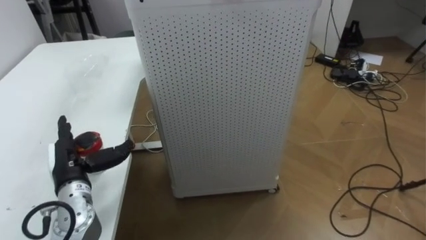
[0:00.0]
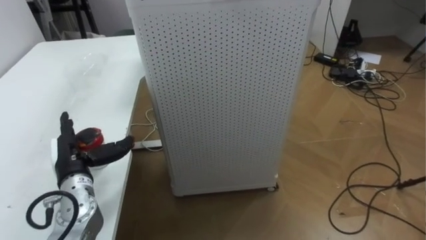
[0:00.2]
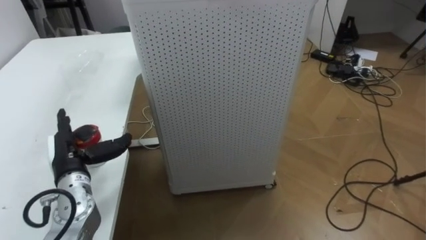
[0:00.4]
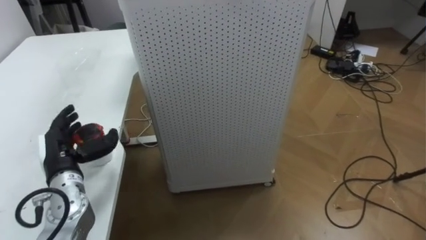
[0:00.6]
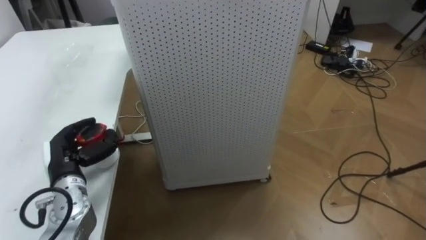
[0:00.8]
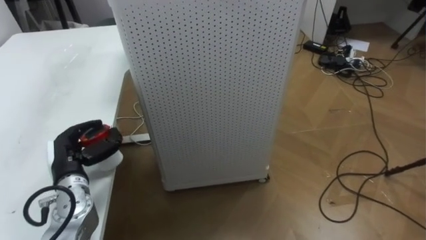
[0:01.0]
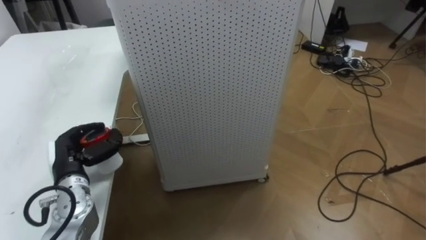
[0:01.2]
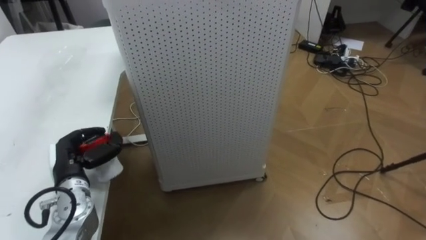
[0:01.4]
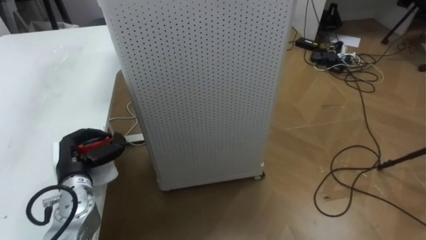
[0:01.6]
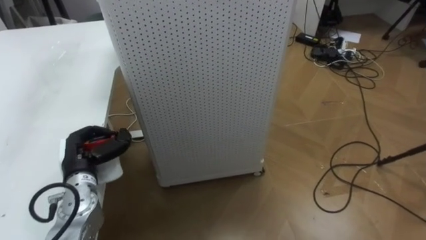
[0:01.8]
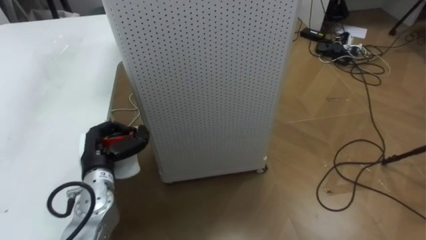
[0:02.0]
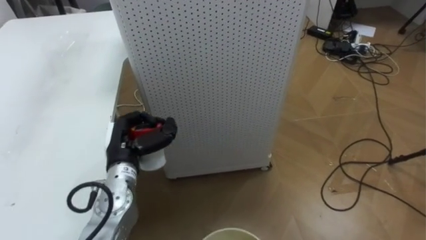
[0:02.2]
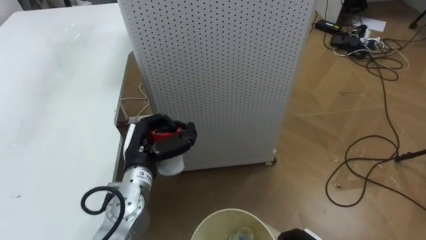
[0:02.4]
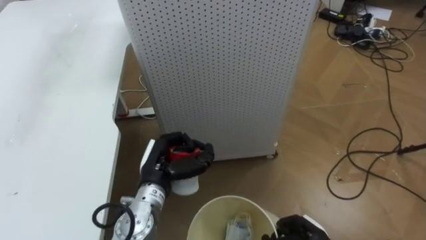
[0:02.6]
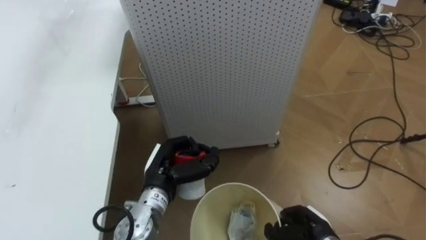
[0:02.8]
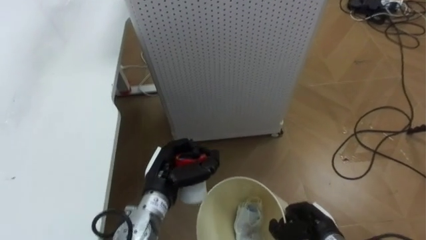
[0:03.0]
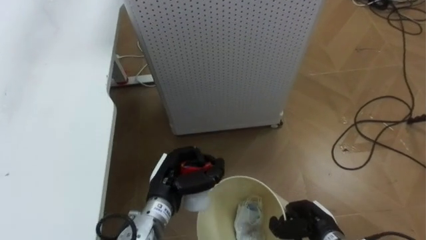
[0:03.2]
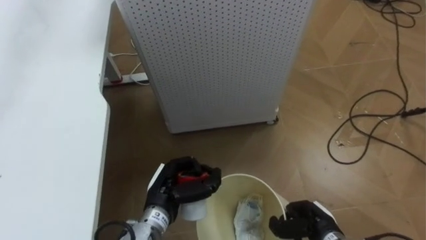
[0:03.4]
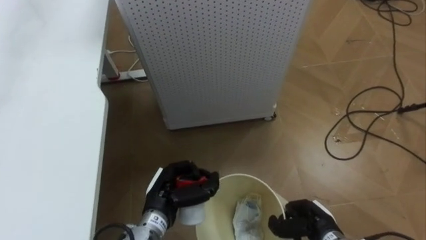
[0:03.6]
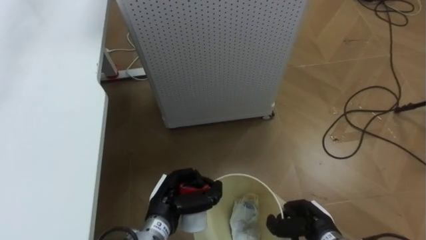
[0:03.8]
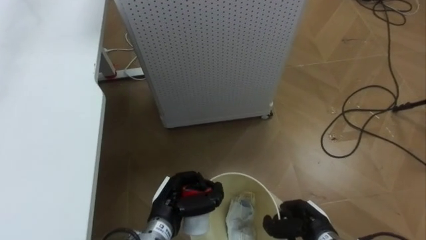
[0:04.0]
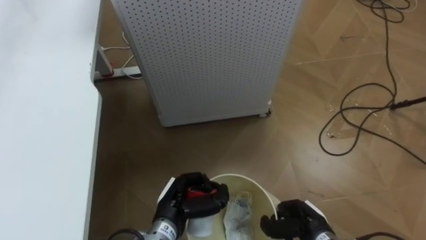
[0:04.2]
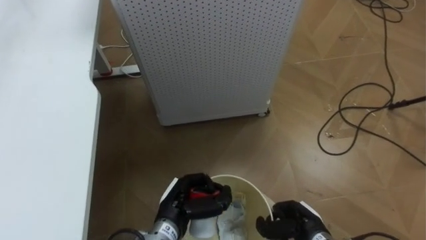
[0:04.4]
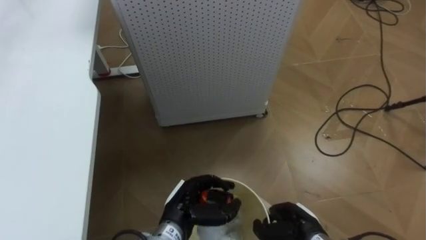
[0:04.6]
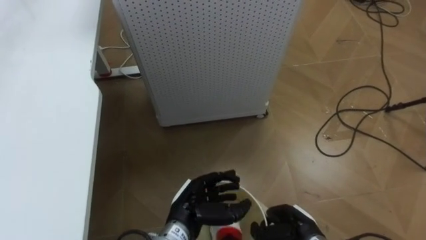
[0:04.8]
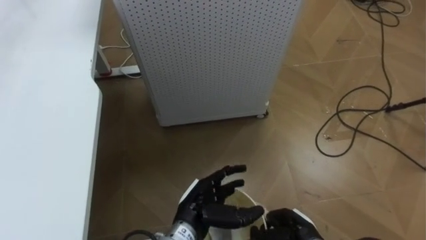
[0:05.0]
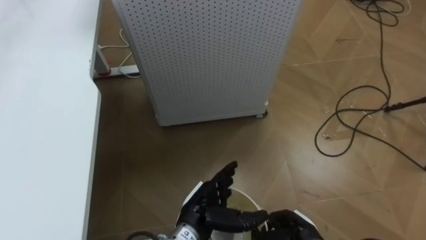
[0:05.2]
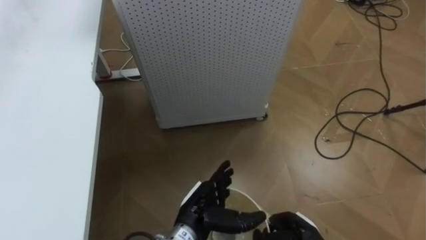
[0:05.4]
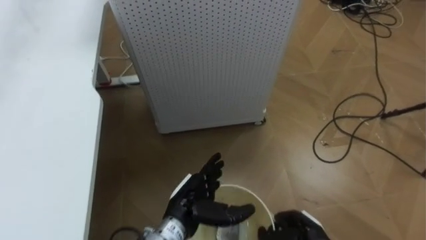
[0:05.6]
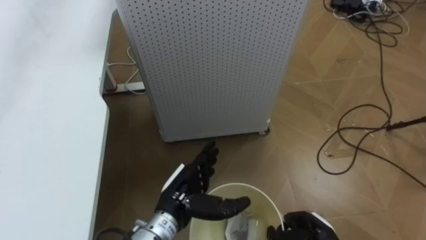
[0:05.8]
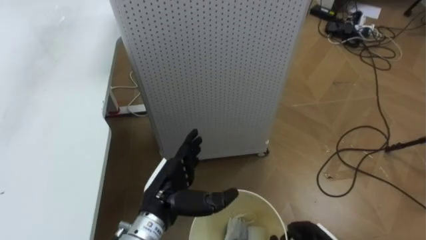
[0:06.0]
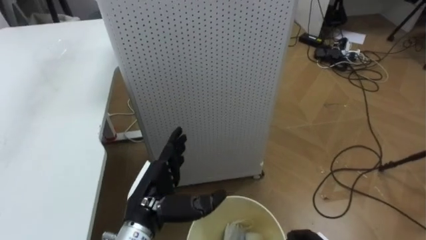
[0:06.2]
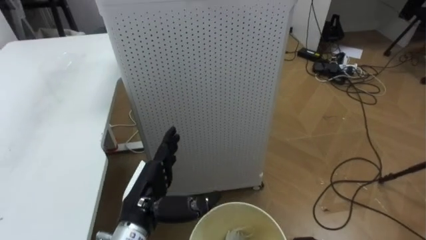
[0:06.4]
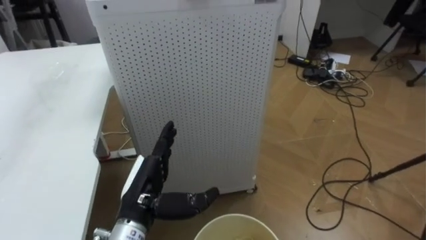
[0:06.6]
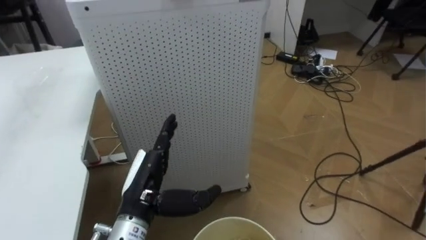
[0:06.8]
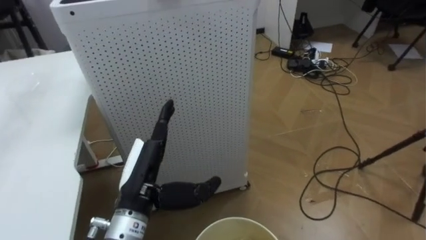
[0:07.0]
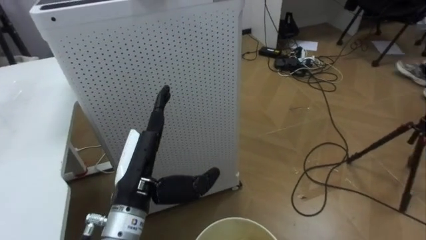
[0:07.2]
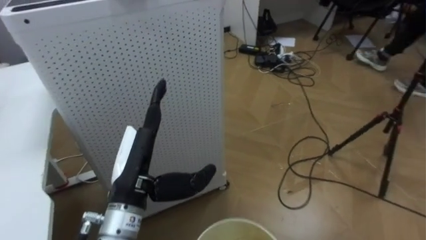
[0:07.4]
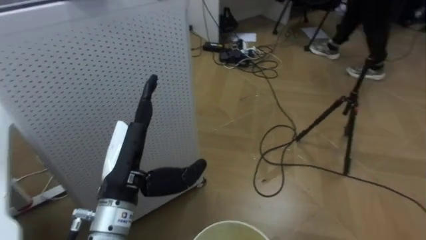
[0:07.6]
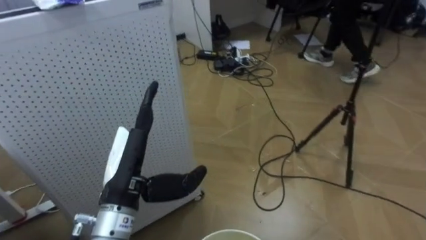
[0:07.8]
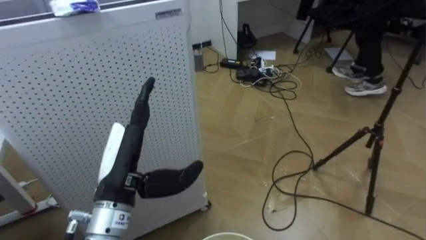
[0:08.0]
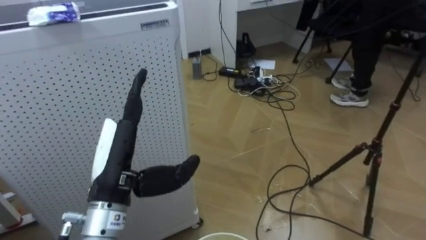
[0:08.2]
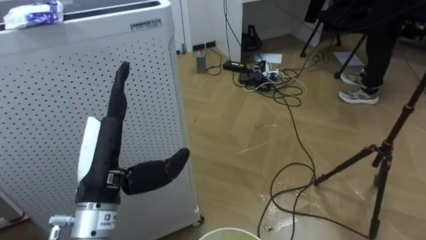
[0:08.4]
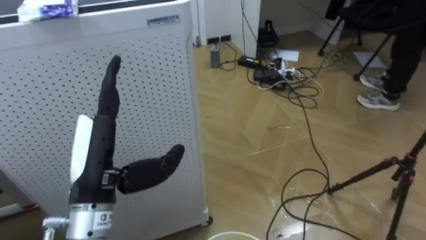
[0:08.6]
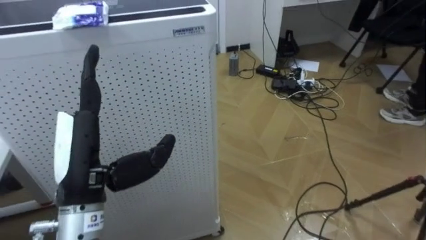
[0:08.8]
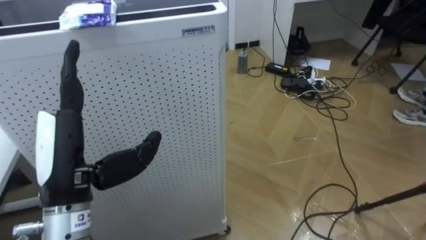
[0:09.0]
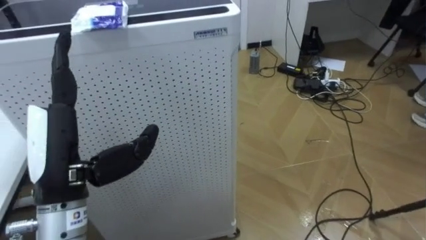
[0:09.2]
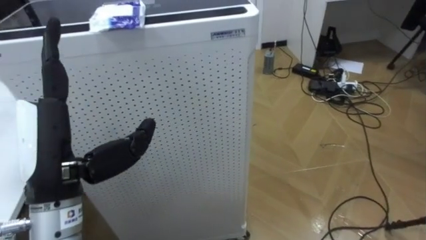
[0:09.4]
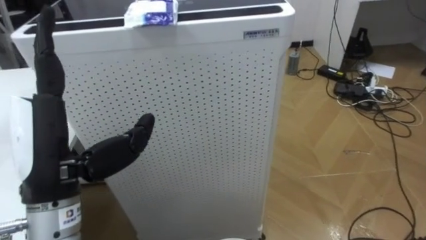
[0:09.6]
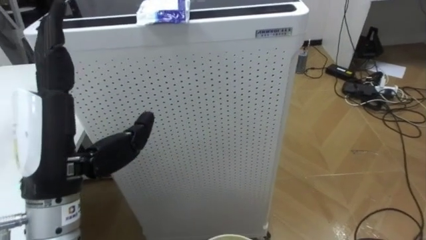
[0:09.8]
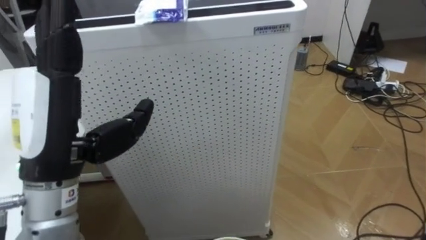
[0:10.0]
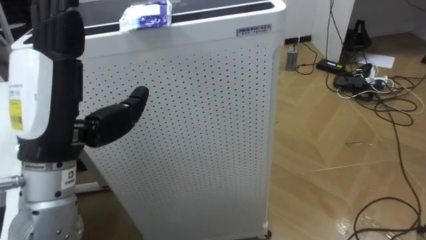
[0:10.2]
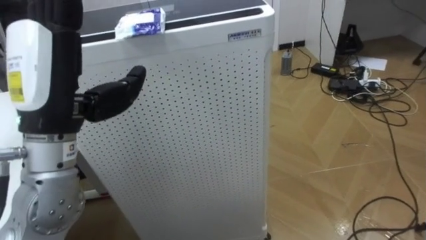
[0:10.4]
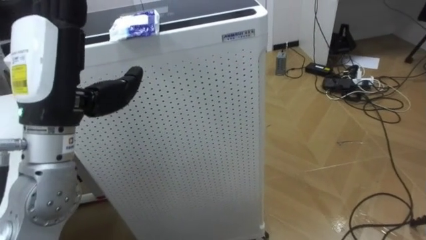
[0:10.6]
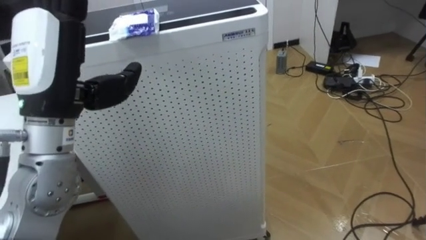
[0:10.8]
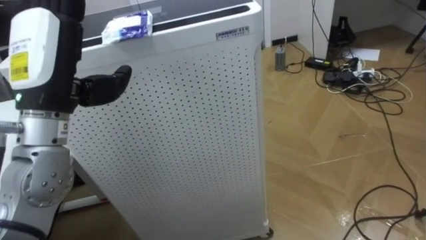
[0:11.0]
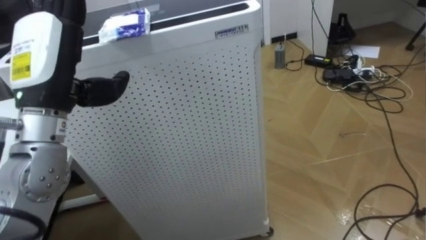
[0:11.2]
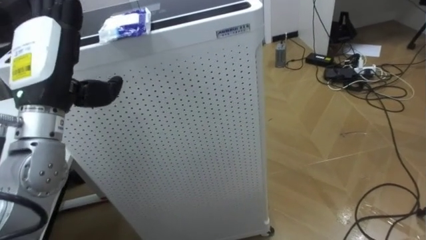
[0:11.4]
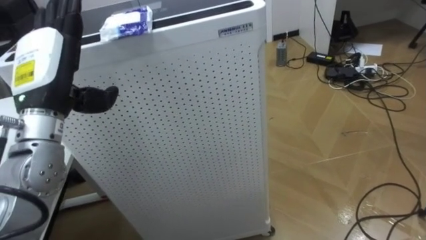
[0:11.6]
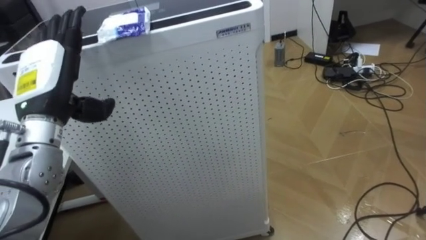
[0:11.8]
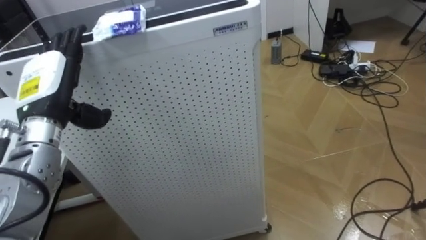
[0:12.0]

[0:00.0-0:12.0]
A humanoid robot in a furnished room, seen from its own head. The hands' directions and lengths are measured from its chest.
Task of the whole recording: Pick up the light blue package, the candy box, and the dark blue package separately, and put them into the trash can held in your right hand.
0:00.0 to 0:01.6: The left hand closes.
0:01.6 to 0:03.0: The left hand shifts some 20 cm to the right.
0:03.0 to 0:04.4: The left hand goes some 5 cm downward.
0:04.4 to 0:06.0: The left hand travels upward by roughly 5 cm, and opens.
0:06.0 to 0:07.6: The robot turns to its right by about 25 degrees. The left hand is displaced upward and to the left by approximately 10 cm.
0:07.6 to 0:09.0: The robot turns to its left by approximately 15 degrees. The left hand is displaced to the left and upward by about 10 cm.
0:09.0 to 0:10.4: The left hand heads upward, covering approximately 10 cm.
0:10.4 to 0:12.0: The left hand heads forward, downward and to the left, covering some 15 cm.

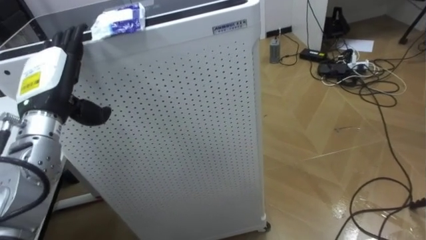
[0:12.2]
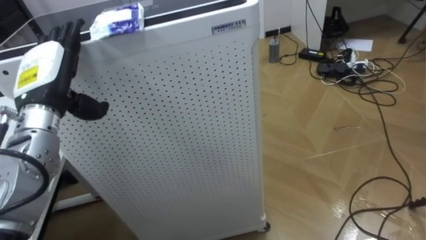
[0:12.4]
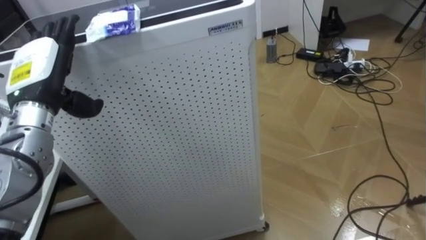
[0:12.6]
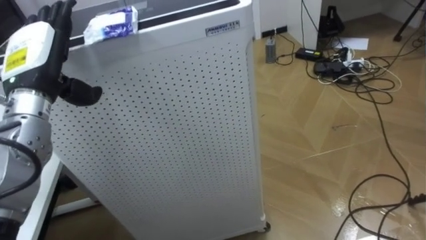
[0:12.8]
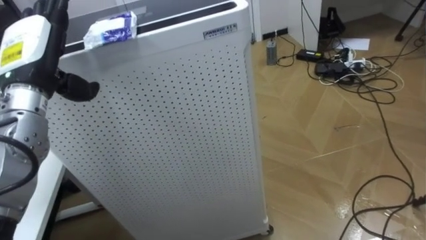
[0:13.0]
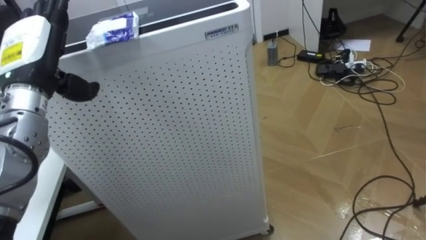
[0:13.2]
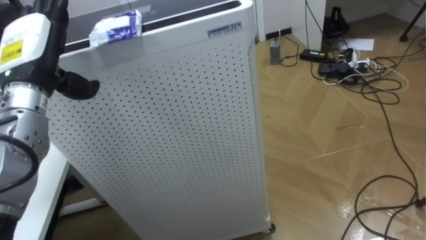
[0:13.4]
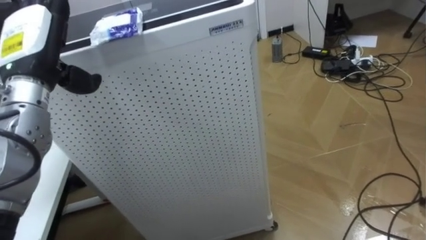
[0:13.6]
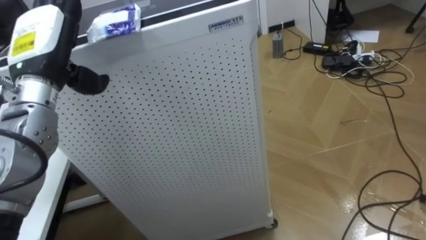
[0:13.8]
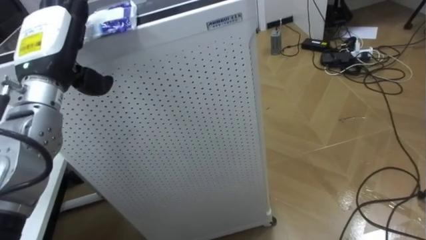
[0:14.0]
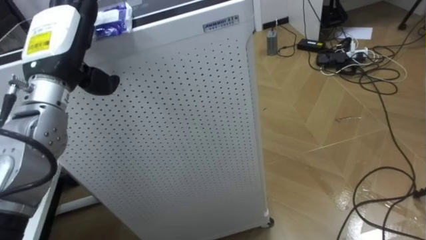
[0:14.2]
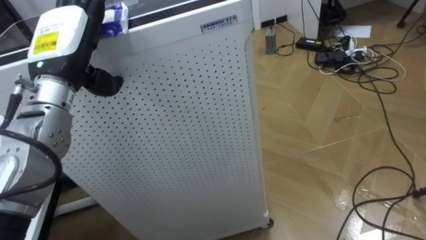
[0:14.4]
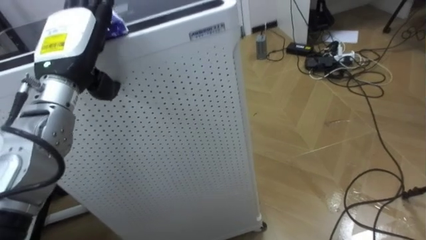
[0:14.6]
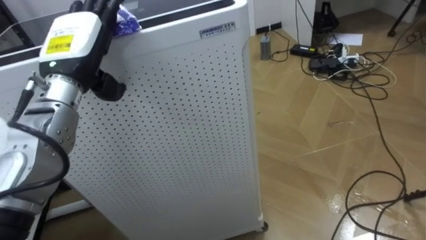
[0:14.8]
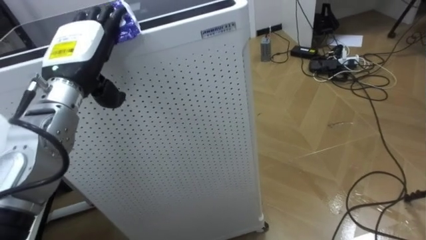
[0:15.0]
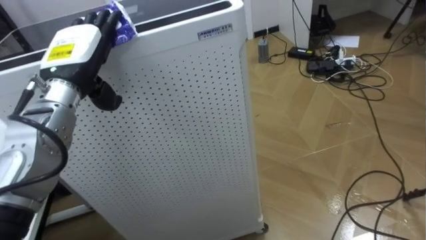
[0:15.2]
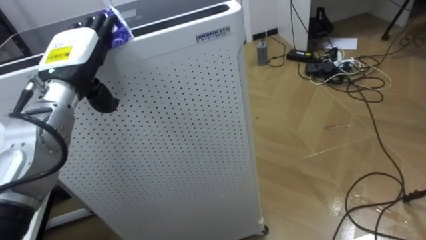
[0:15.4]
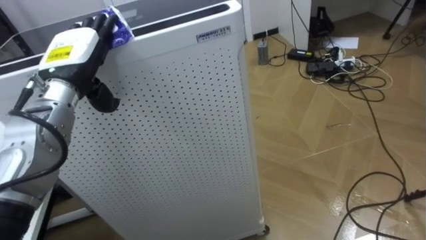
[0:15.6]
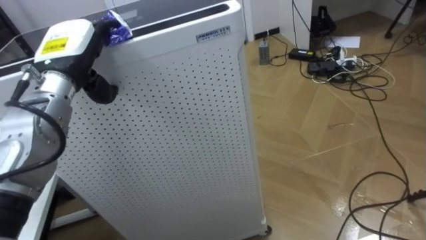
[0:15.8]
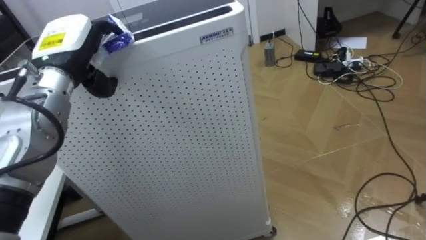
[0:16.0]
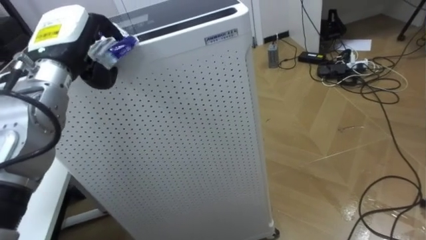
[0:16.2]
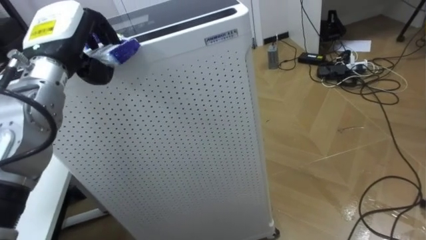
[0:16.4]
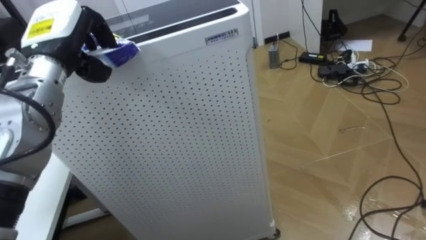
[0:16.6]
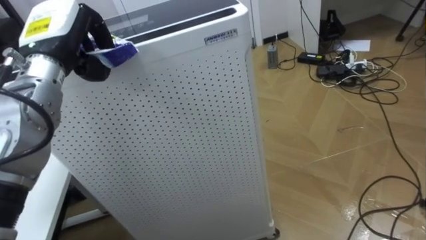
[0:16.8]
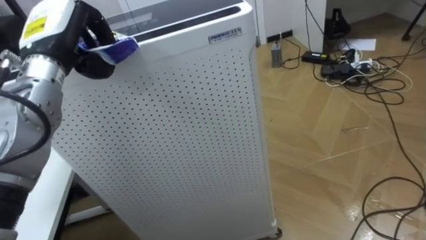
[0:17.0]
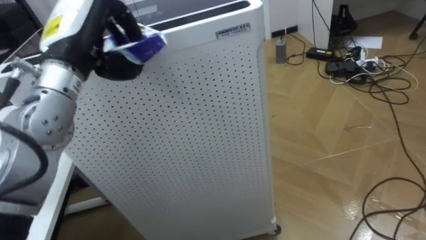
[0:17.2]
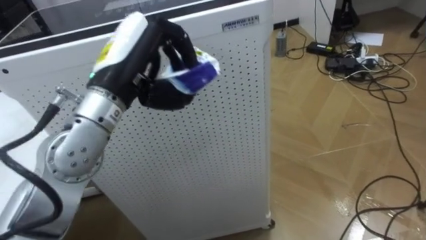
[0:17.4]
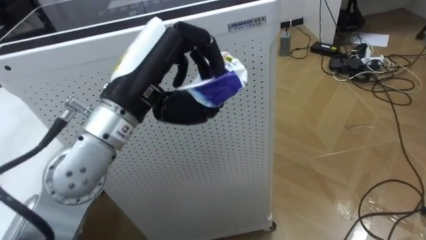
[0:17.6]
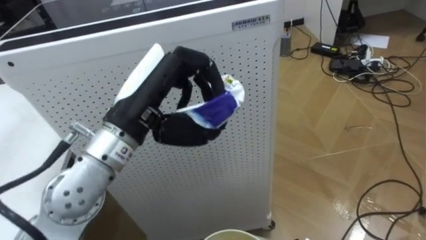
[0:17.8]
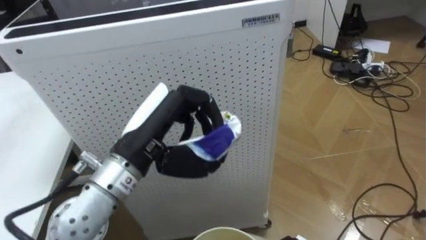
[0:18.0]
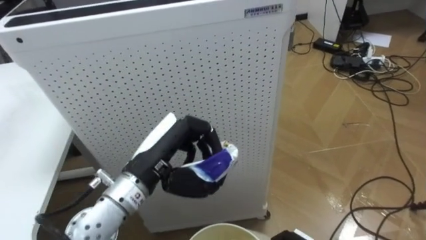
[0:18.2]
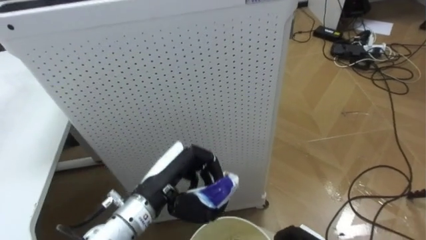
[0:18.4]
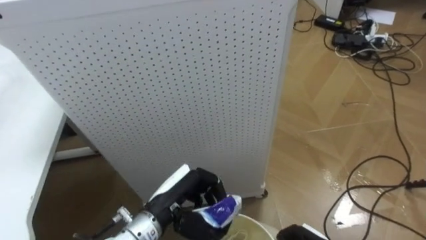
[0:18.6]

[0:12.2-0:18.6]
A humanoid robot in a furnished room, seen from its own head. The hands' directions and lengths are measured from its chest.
Task of the whole recording: Pick up the light blue package, the candy box, and the dark blue package separately, and put them into the trash can held in your right hand.
0:12.2 to 0:13.8: The left hand heads upward, covering some 5 cm.
0:15.4 to 0:17.0: The left hand closes its fingers.
0:17.0 to 0:18.6: The left hand moves downward, to the right and backward, some 30 cm.
